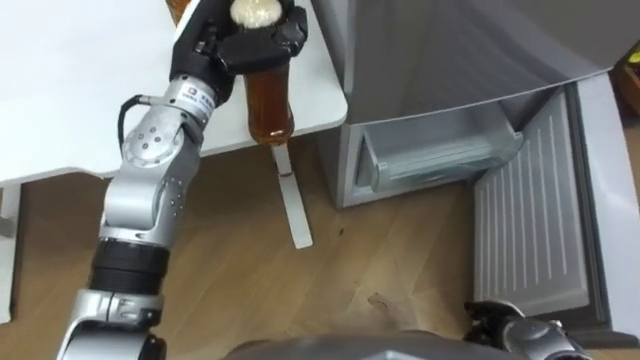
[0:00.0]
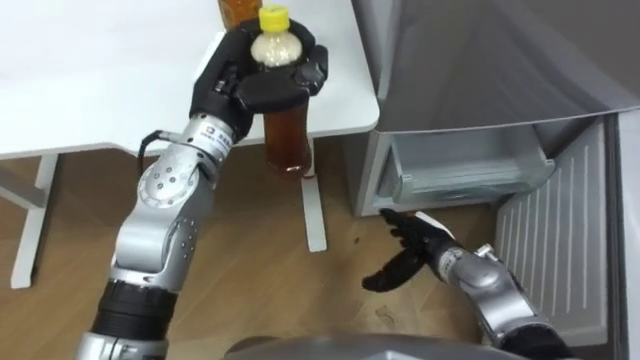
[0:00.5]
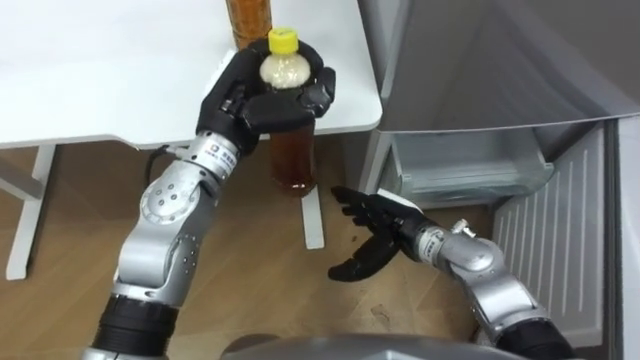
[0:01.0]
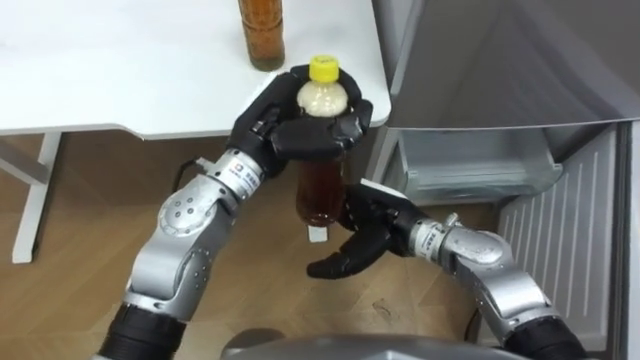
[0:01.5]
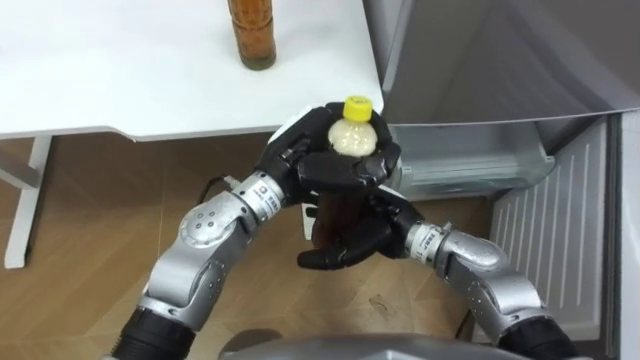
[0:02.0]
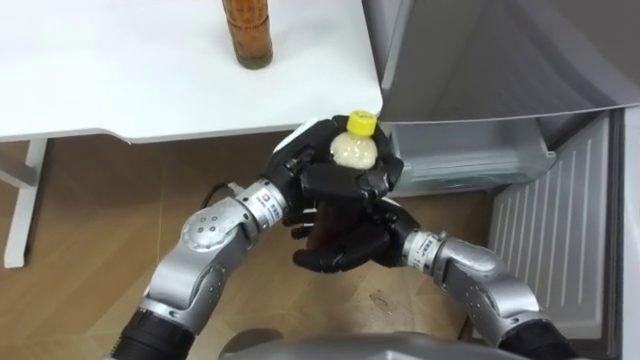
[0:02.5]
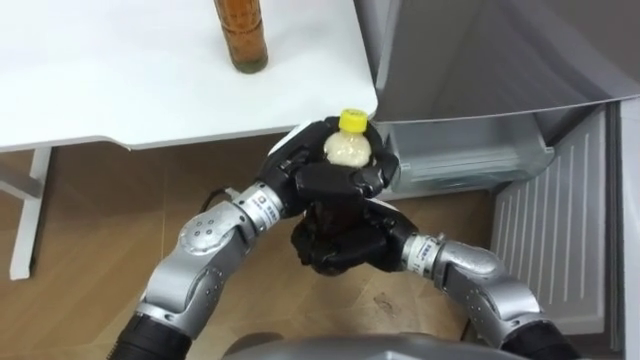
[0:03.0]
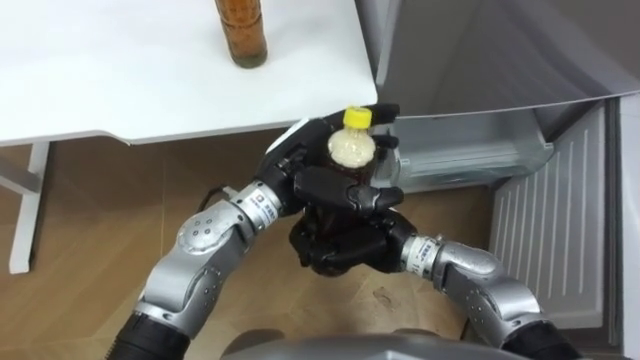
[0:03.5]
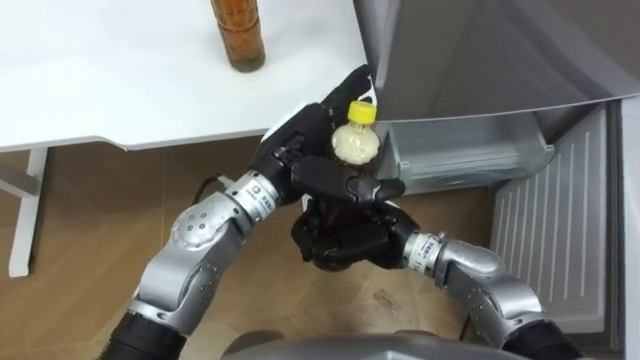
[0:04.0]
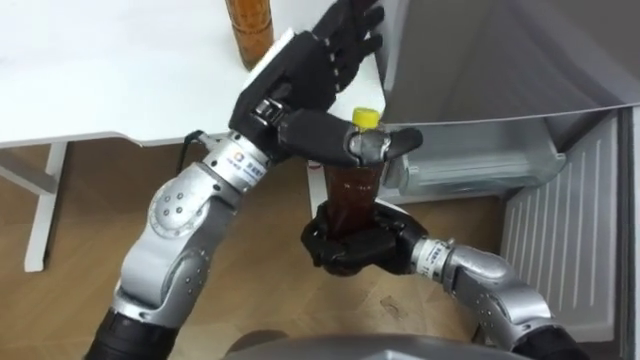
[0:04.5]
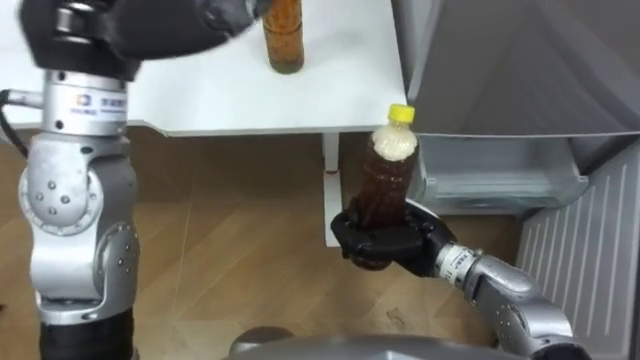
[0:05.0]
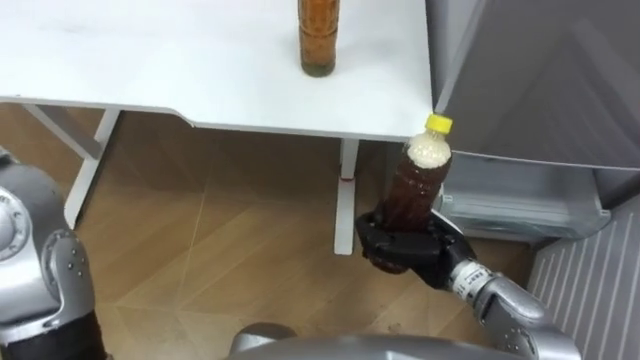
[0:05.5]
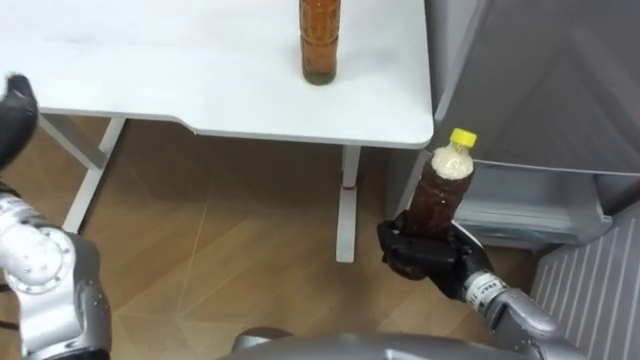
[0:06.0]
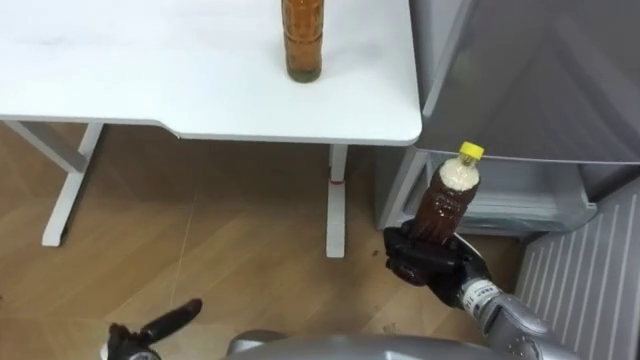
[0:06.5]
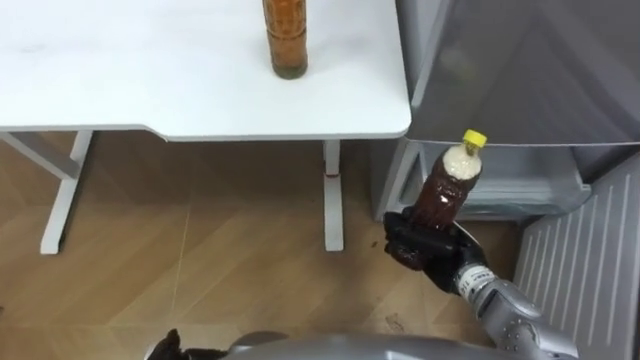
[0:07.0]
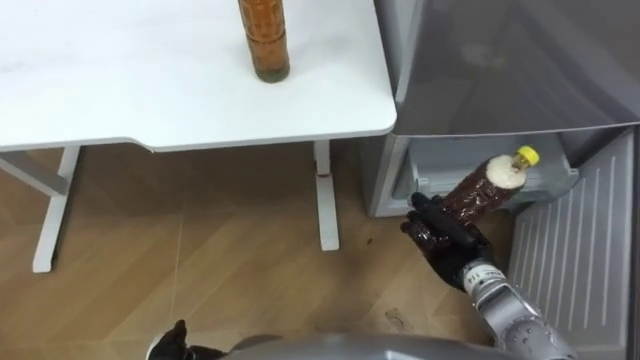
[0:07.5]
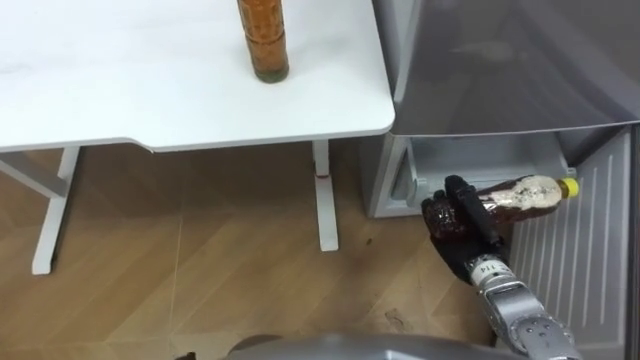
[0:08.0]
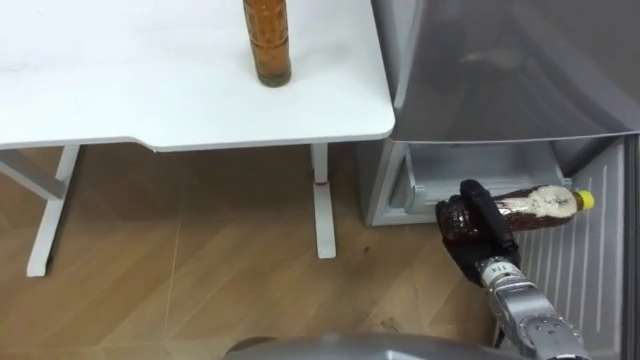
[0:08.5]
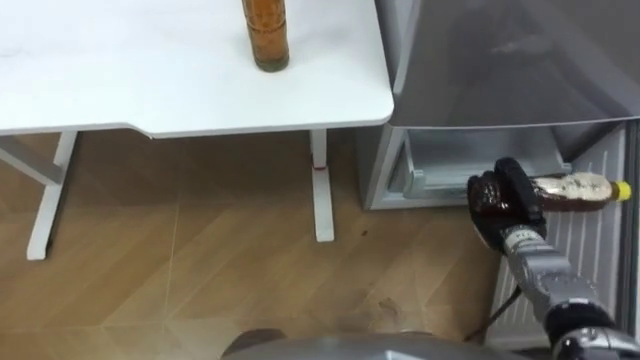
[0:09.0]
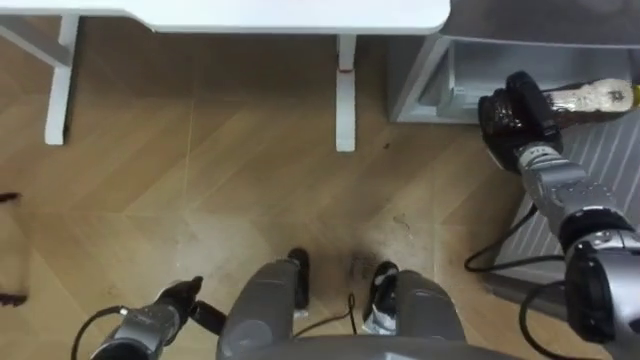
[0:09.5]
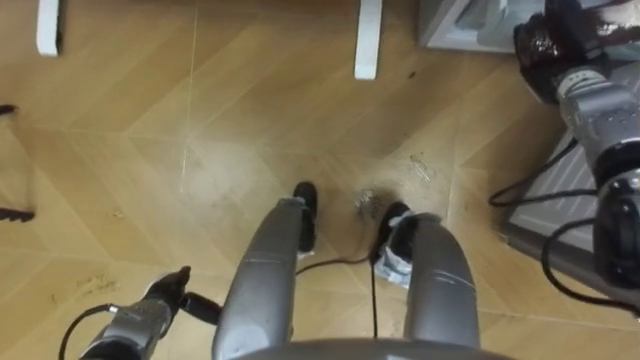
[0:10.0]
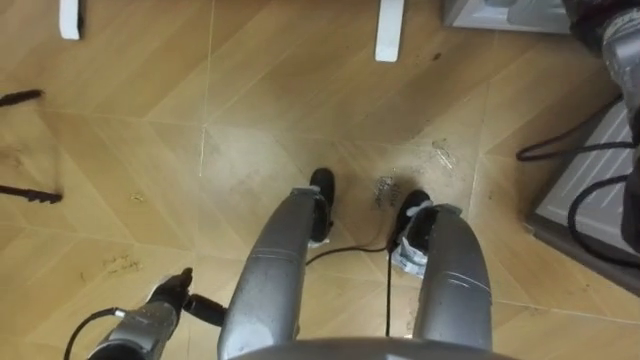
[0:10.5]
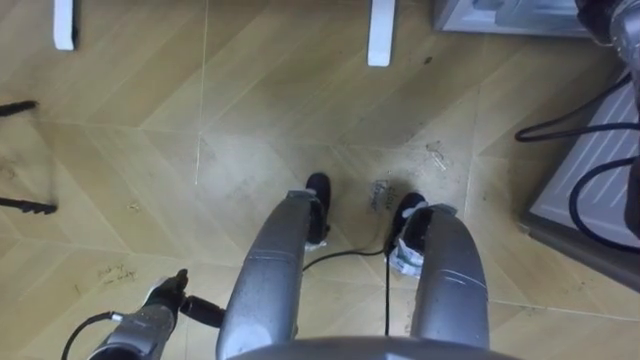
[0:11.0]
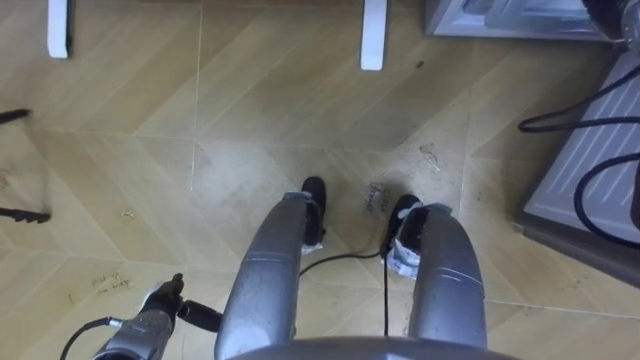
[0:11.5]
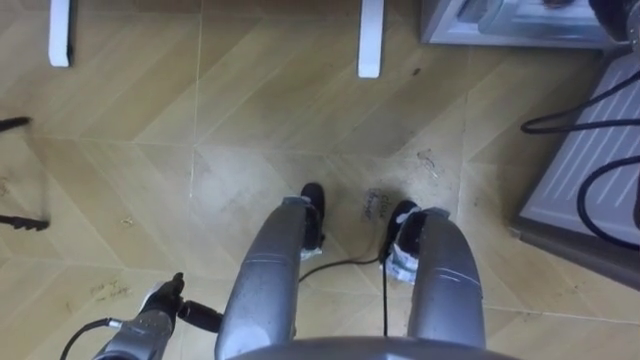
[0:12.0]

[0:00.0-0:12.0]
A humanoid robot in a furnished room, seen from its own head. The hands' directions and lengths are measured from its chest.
Task of the whole recording: Place the drink on the table on the bottom shelf of the refrigerator, then close the drawer and the refrigerator door.
0:00.0 to 0:02.0: The right hand travels to the left, upward and forward by some 30 cm. The left hand travels to the right, backward and downward by about 15 cm.
0:02.0 to 0:04.0: The right hand closes up, while the left hand opens its fingers.
0:04.0 to 0:06.0: The right hand shifts some 15 cm to the right and downward.
0:08.0 to 0:10.0: The right hand heads forward, upward and to the right, covering approximately 25 cm.

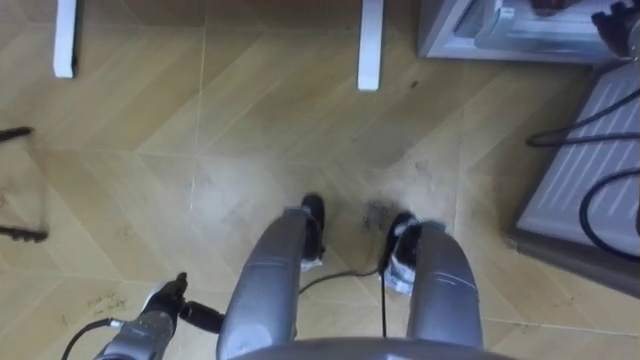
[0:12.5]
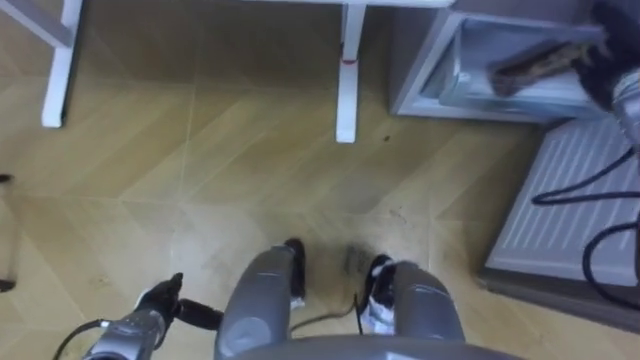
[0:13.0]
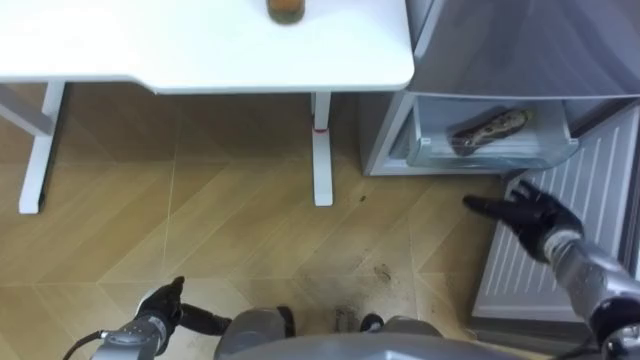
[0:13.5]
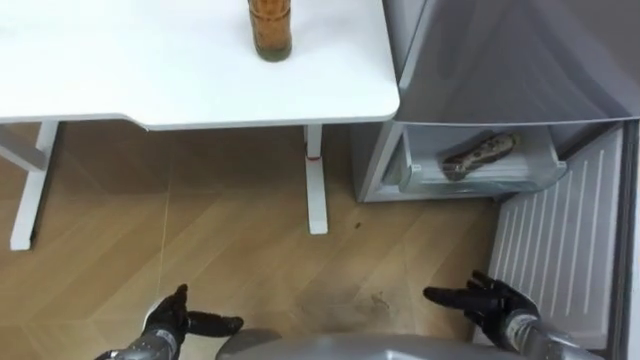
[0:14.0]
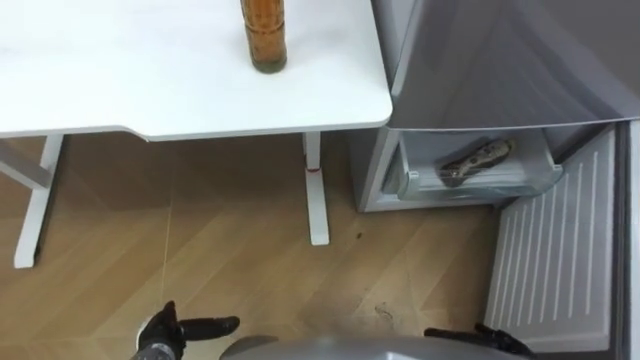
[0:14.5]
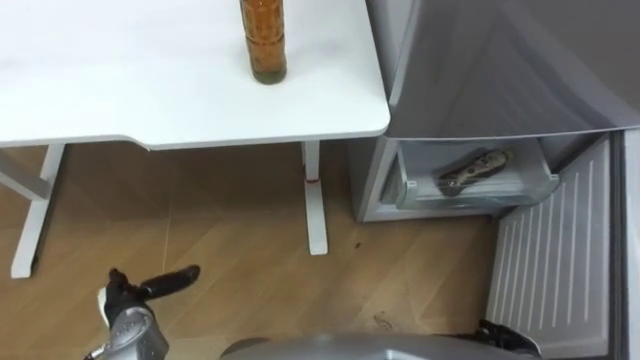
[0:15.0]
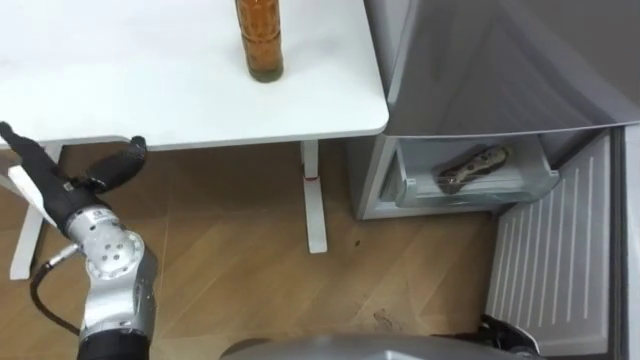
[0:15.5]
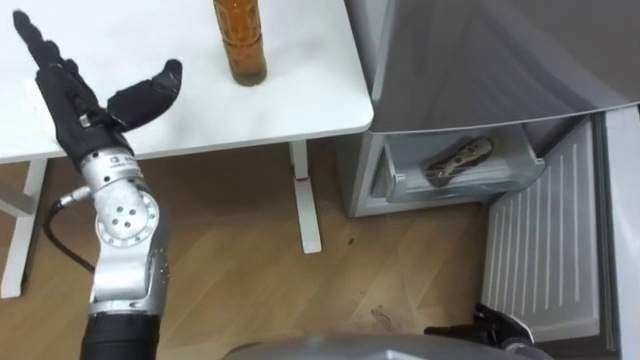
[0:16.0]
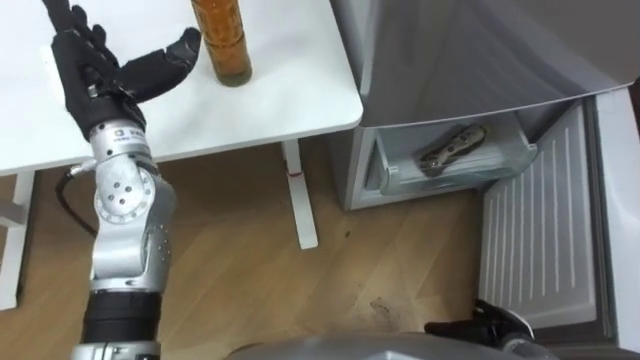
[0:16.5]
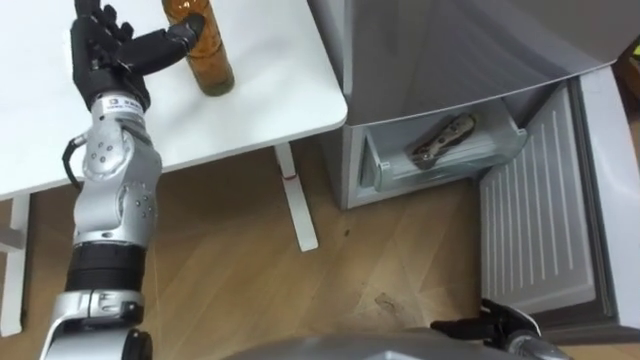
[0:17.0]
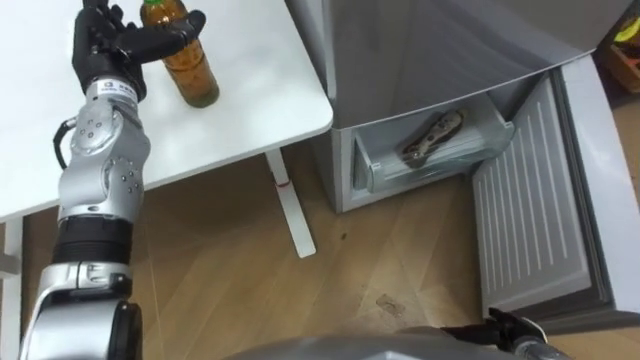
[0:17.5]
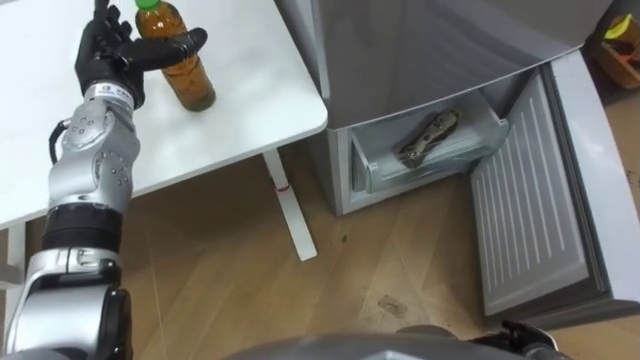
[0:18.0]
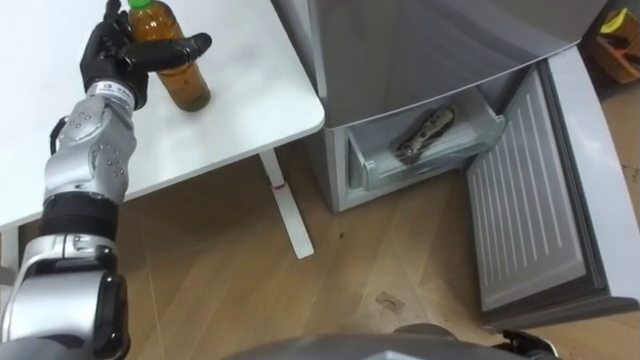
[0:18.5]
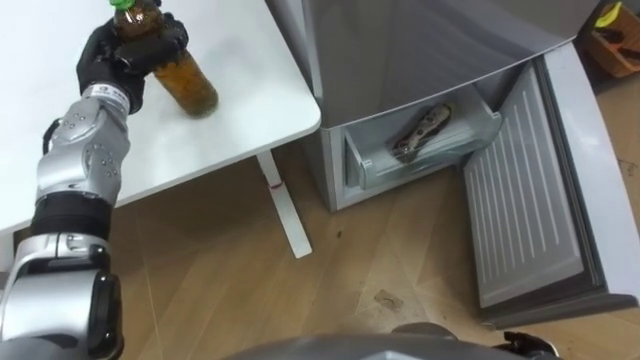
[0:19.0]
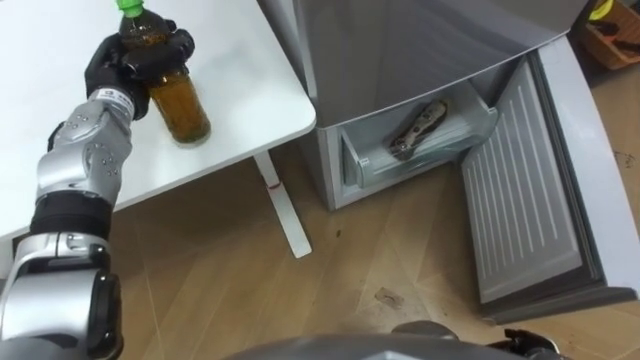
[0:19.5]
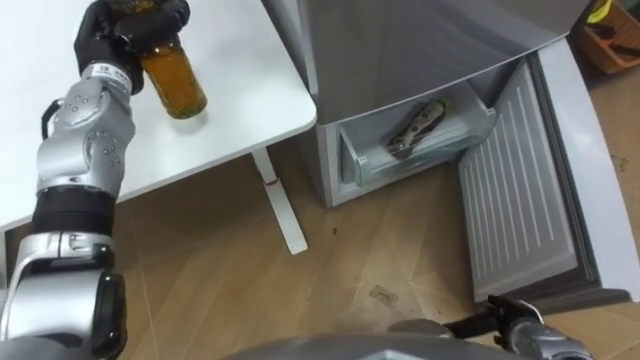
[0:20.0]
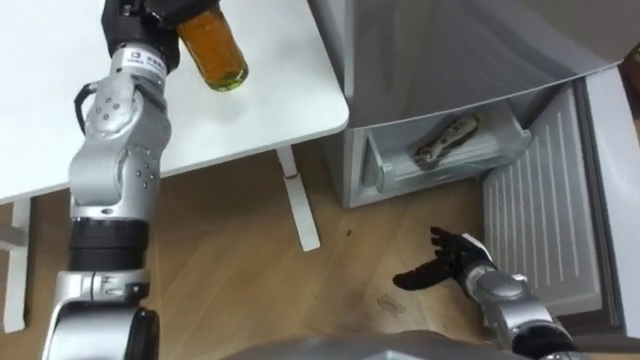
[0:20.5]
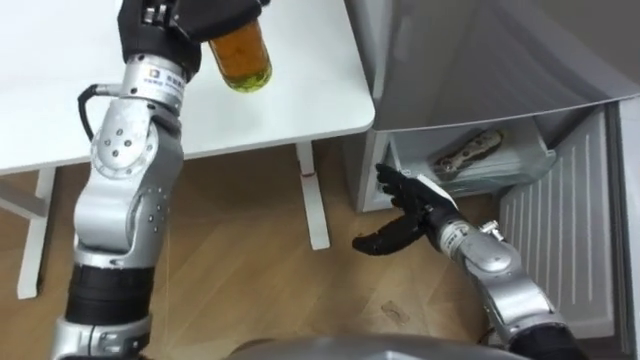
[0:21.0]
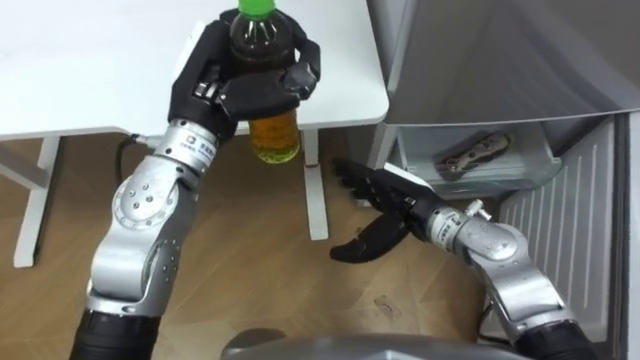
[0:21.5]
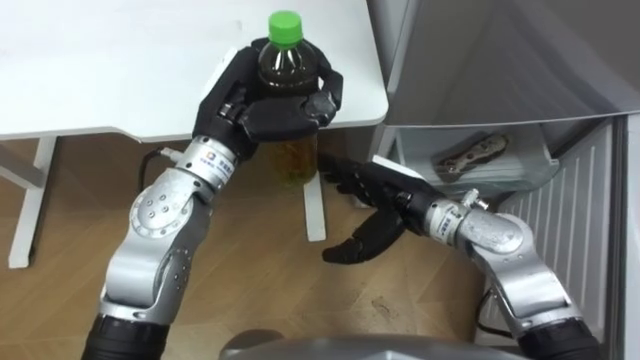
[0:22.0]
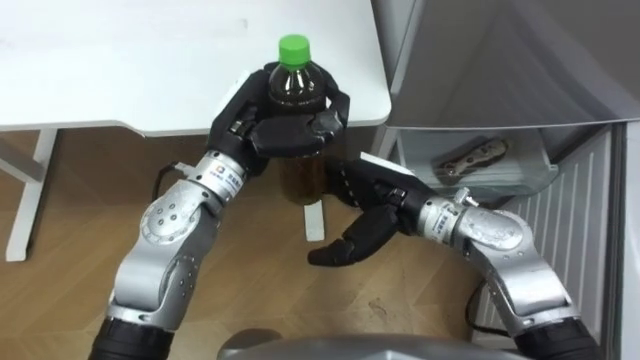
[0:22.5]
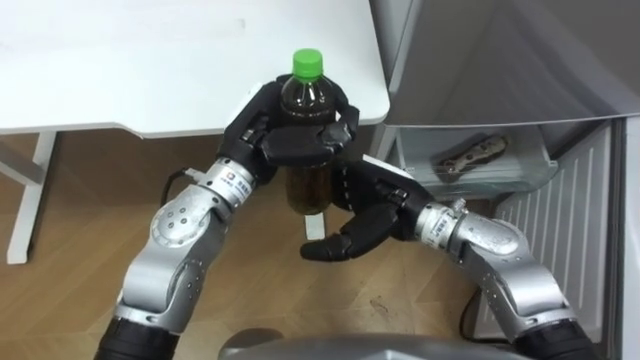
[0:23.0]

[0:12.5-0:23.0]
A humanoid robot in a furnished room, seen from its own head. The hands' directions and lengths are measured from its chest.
Task of the whole recording: Place the drink on the table on the bottom shelf of the refrigerator, then close the drawer and the refrigerator door.
0:12.5 to 0:14.5: The right hand goes approximately 50 cm backward and downward.
0:14.5 to 0:16.5: The left hand moves upward and forward, approximately 40 cm.
0:16.5 to 0:19.0: The left hand travels forward and downward by some 10 cm, and closes its fingers.
0:19.0 to 0:21.0: The left hand is displaced upward and to the right by about 15 cm, and closes up. The right hand is displaced forward, to the left and upward by some 25 cm.
0:21.0 to 0:23.0: The right hand travels upward and to the left by roughly 10 cm. The left hand heads downward, to the right and backward, covering about 15 cm.
